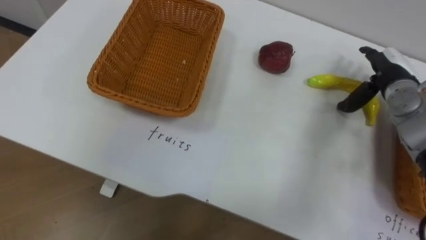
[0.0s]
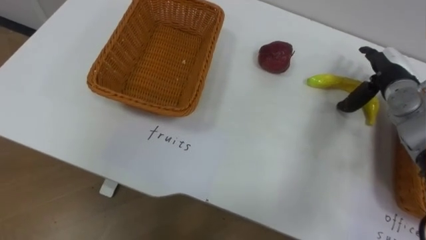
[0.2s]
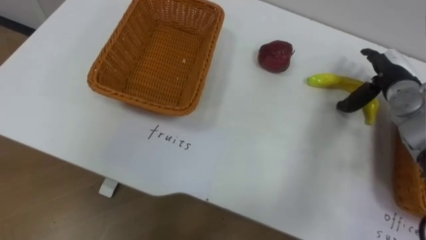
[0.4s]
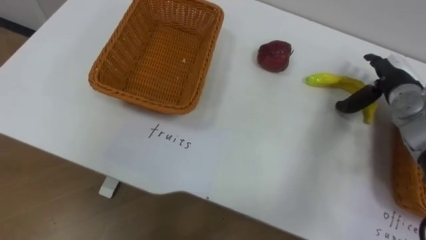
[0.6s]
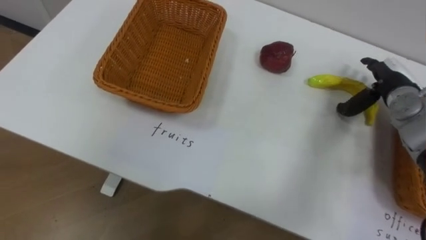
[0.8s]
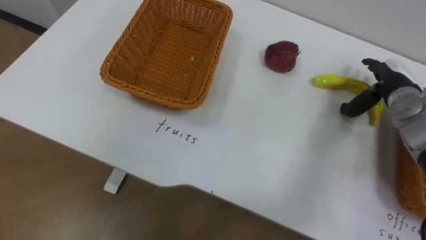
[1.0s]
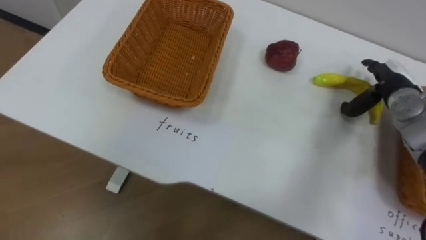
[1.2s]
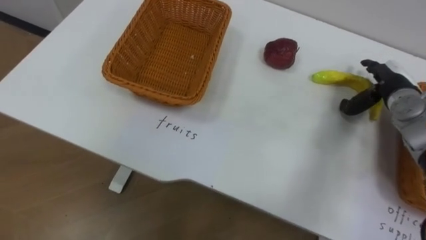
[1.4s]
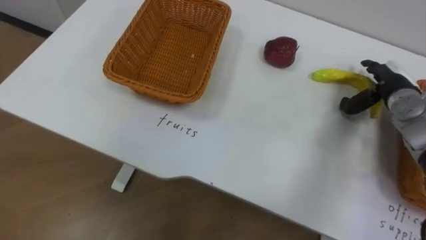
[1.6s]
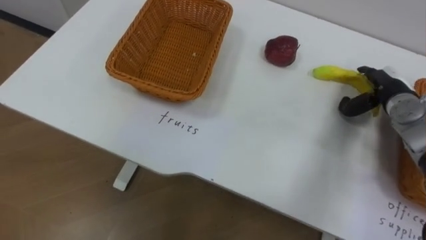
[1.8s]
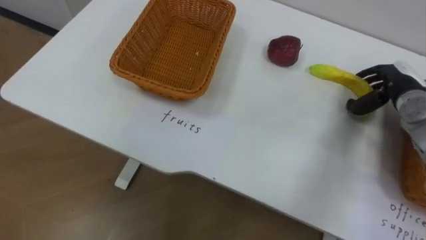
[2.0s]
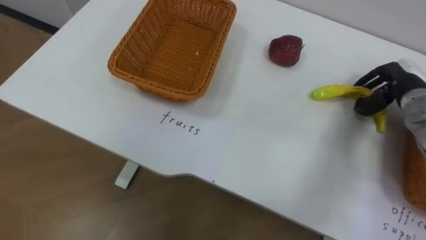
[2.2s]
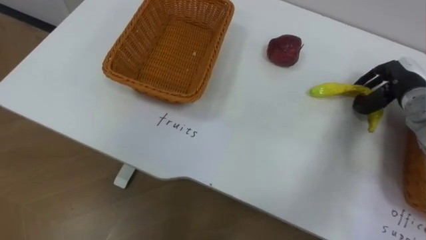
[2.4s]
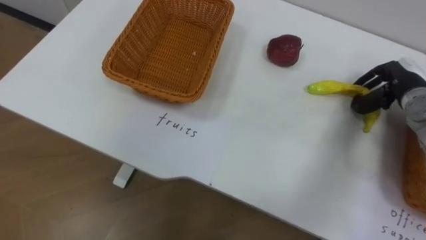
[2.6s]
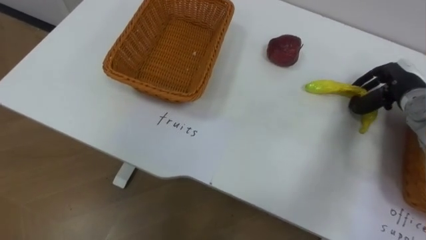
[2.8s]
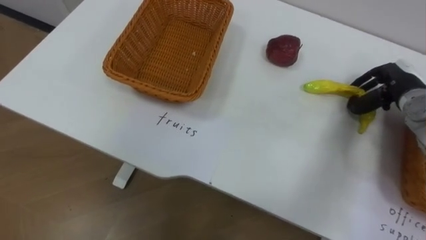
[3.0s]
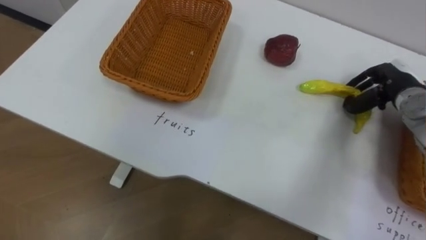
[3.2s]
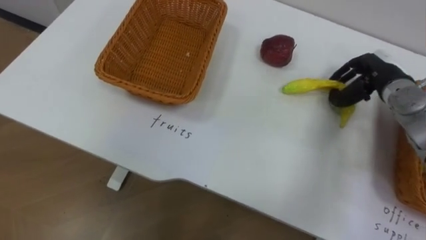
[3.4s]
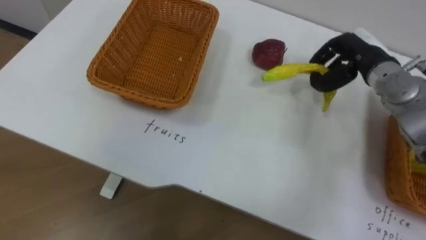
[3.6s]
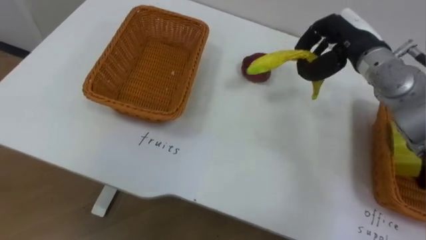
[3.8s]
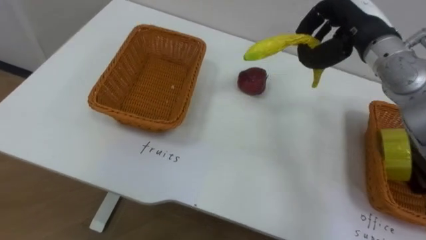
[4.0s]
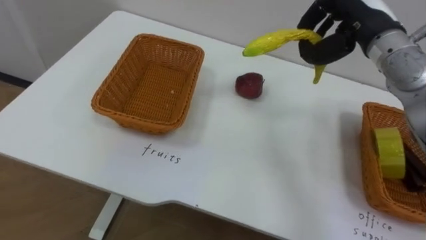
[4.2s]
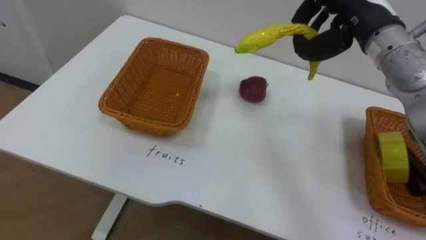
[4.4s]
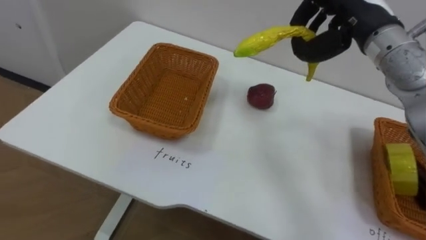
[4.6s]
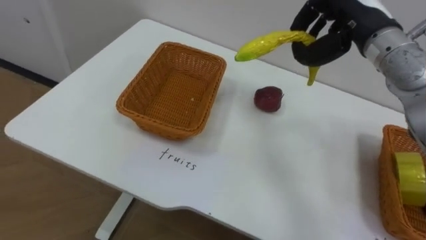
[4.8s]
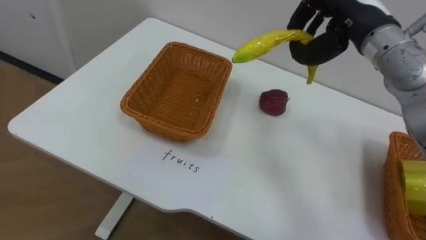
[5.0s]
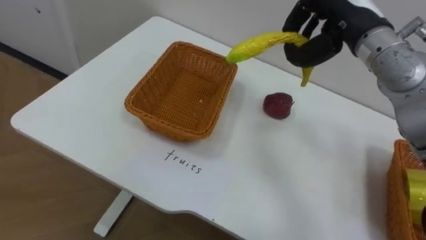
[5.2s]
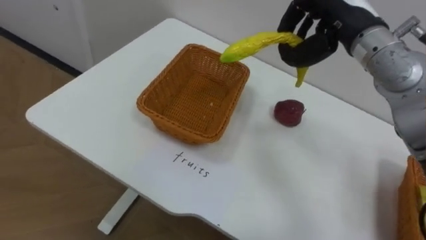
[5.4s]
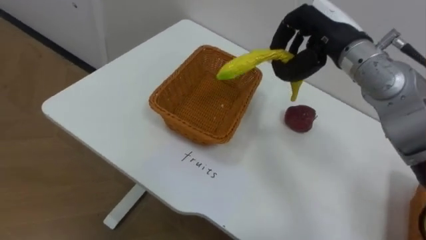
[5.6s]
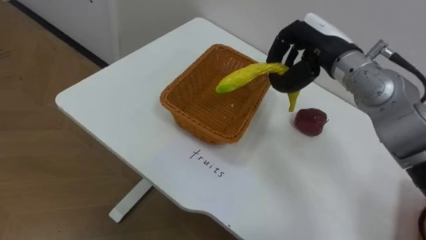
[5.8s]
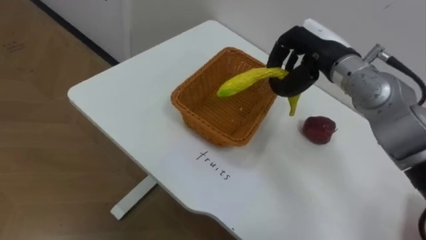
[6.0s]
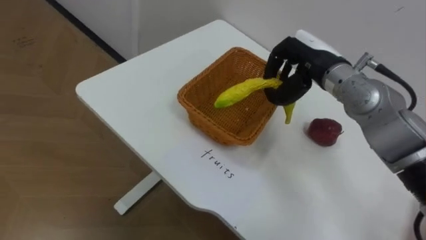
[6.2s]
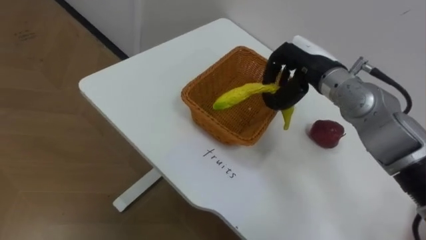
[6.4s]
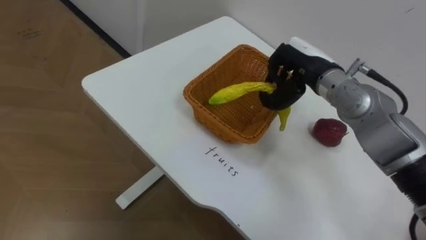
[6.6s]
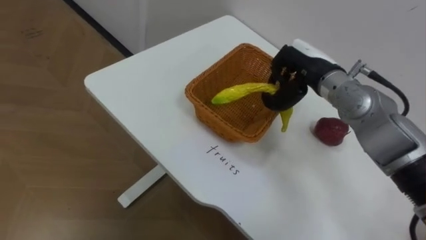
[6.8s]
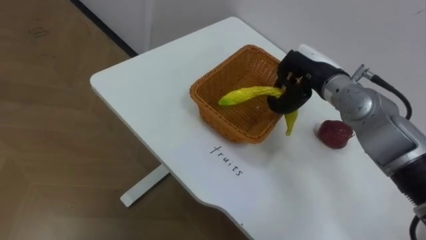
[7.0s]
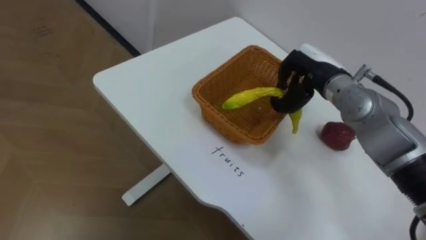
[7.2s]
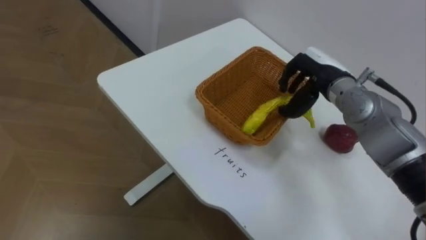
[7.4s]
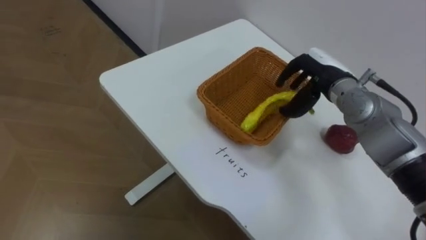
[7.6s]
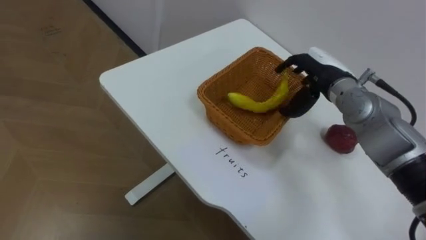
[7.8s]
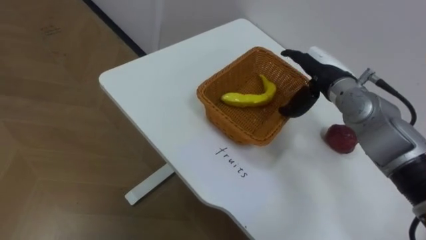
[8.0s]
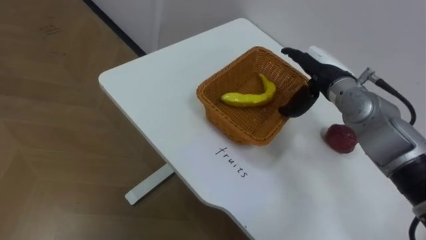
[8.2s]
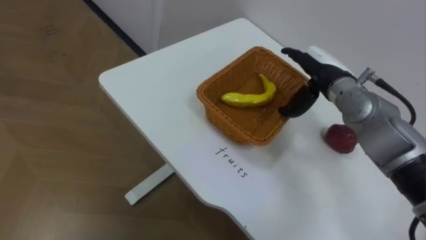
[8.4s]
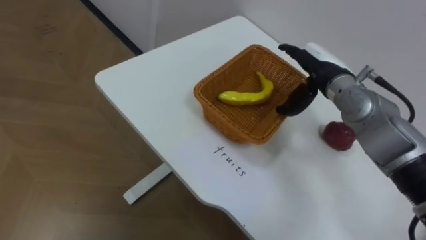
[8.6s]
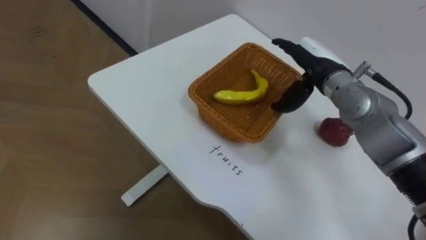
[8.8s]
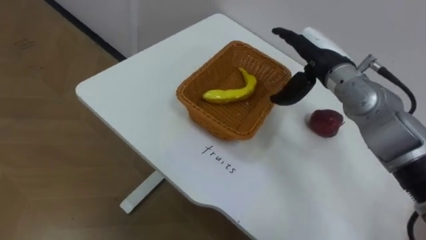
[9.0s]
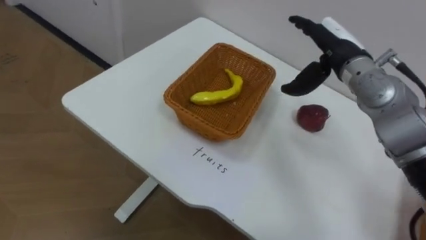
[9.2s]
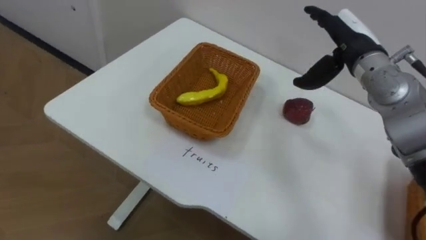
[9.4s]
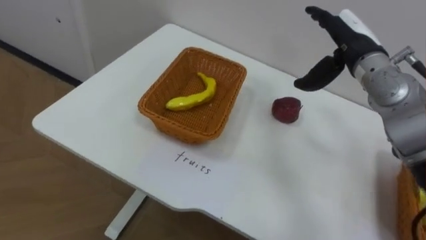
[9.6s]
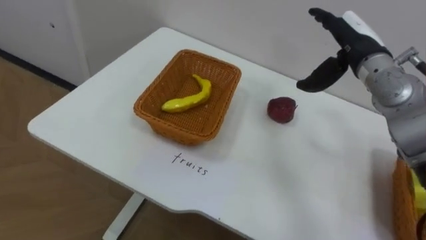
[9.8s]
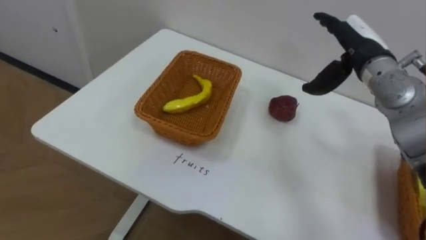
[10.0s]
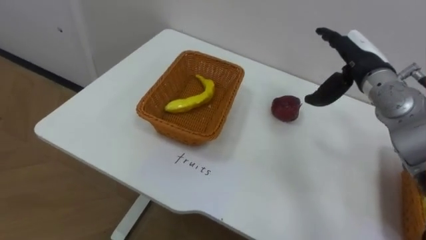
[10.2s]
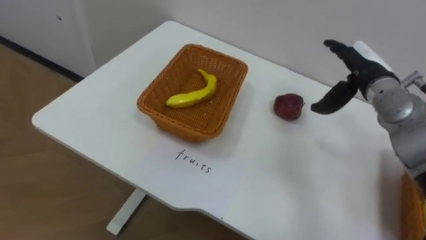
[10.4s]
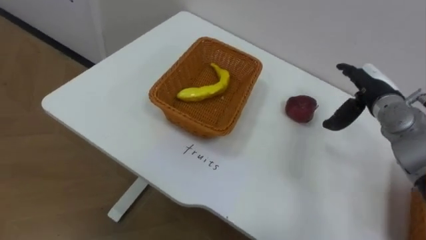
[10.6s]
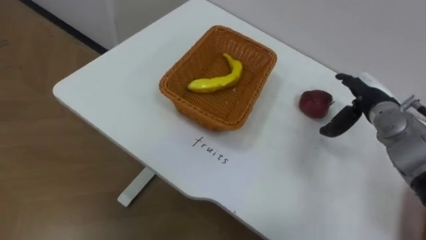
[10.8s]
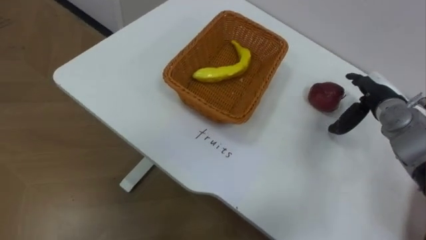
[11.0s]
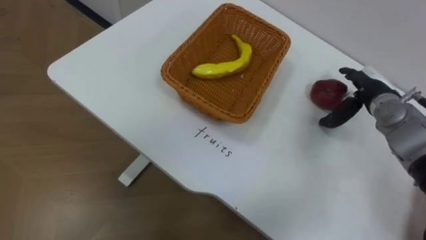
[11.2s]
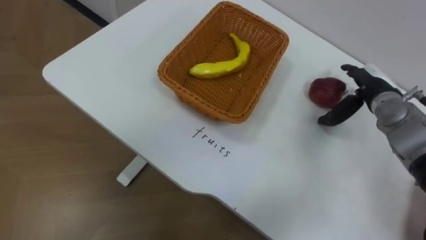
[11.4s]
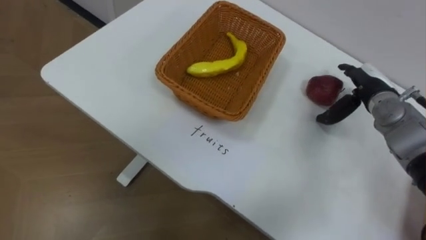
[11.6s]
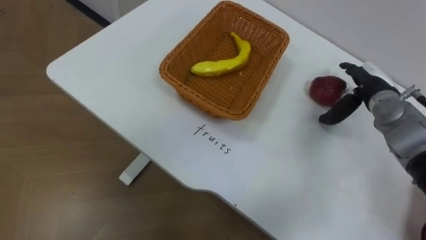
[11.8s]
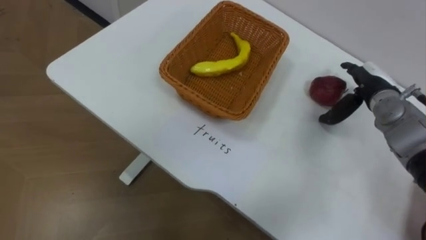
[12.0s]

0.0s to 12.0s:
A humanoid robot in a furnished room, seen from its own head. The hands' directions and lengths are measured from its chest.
Task of the whole recording: Separate the items on the table and place them into the two baskets.
1.6s to 3.0s: The right hand closes up.
3.0s to 4.4s: The right hand is displaced upward and to the left by about 20 cm.
4.4s to 6.0s: The right hand moves downward, roughly 5 cm.
6.0s to 7.6s: The right hand travels downward by approximately 5 cm, and opens its fingers.
7.6s to 9.0s: The right hand opens up.
9.0s to 10.4s: The right hand shifts roughly 10 cm to the right.
10.4s to 12.0s: The right hand travels downward by approximately 5 cm.

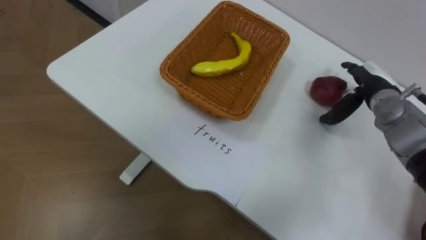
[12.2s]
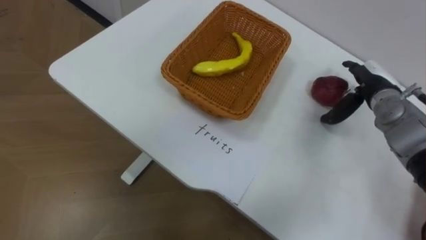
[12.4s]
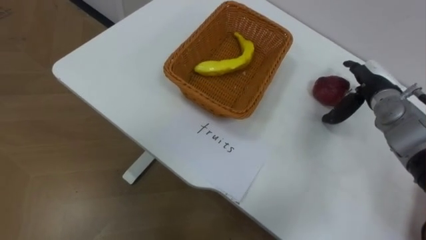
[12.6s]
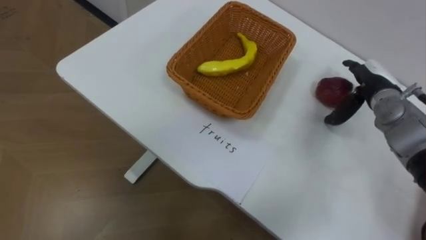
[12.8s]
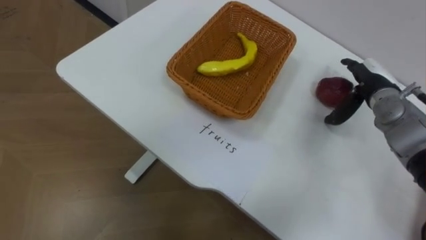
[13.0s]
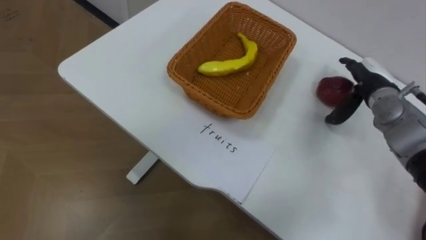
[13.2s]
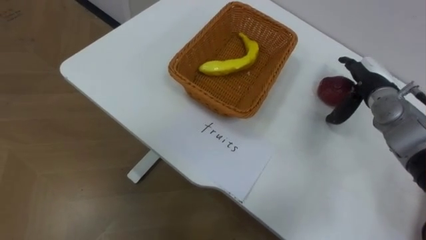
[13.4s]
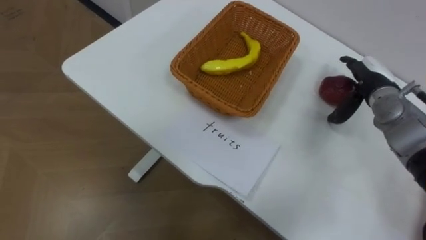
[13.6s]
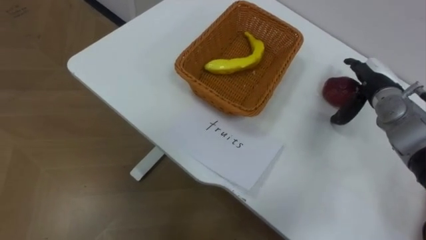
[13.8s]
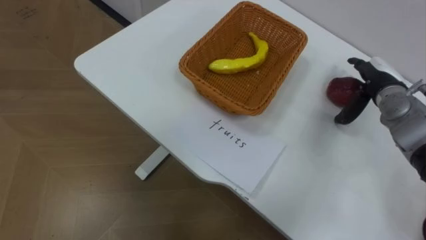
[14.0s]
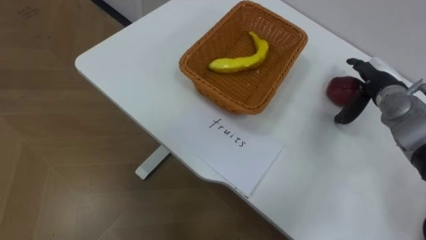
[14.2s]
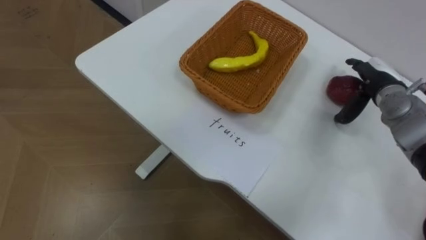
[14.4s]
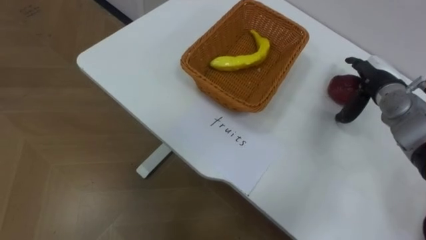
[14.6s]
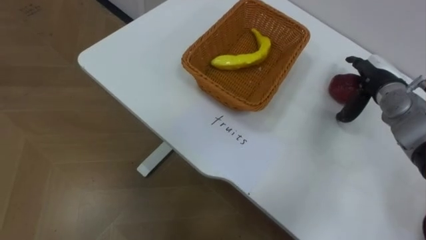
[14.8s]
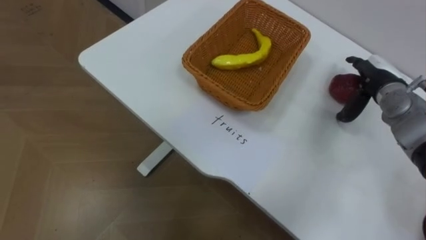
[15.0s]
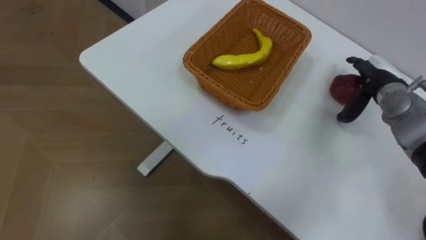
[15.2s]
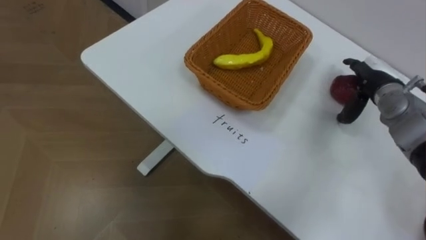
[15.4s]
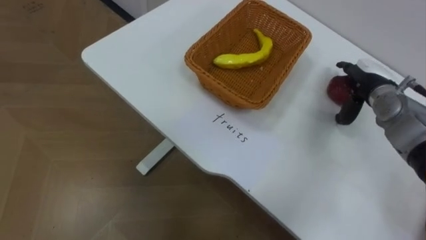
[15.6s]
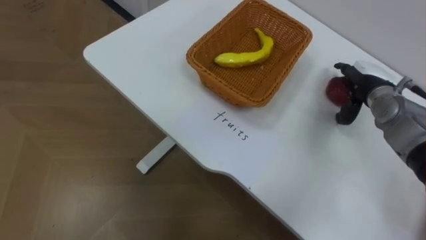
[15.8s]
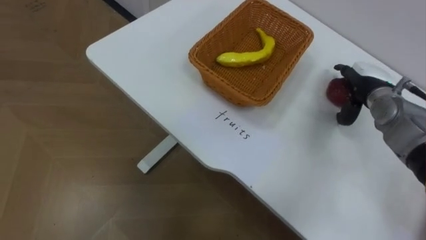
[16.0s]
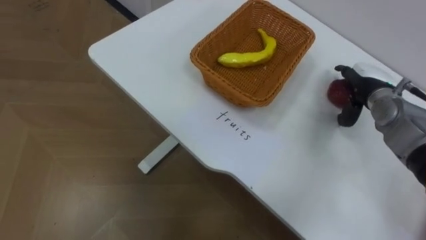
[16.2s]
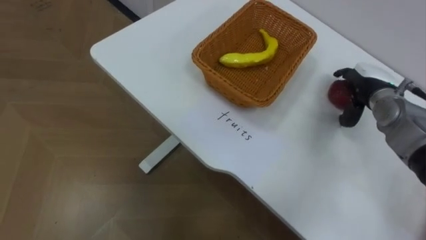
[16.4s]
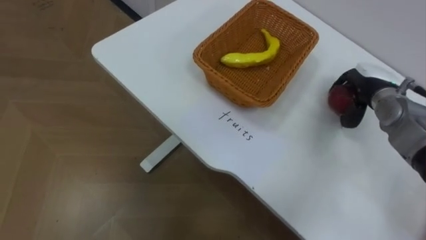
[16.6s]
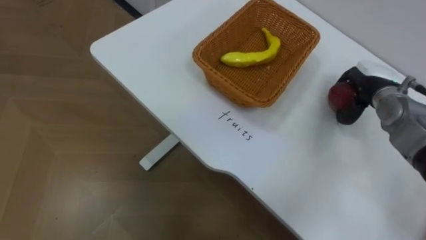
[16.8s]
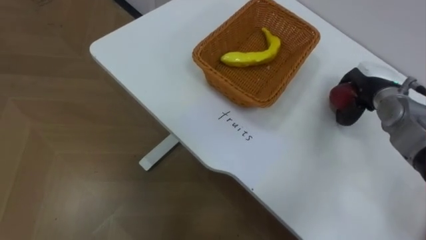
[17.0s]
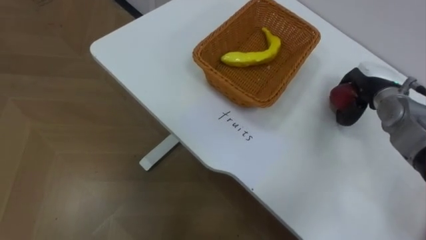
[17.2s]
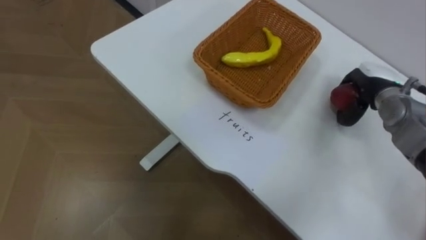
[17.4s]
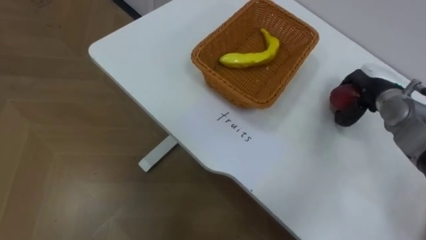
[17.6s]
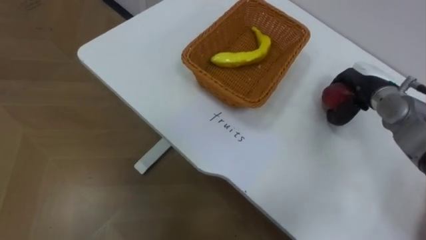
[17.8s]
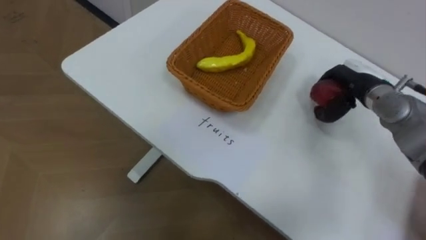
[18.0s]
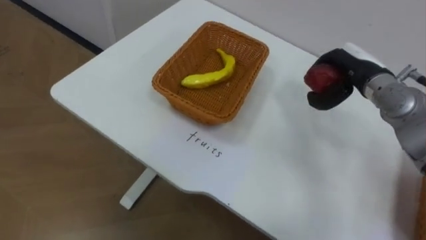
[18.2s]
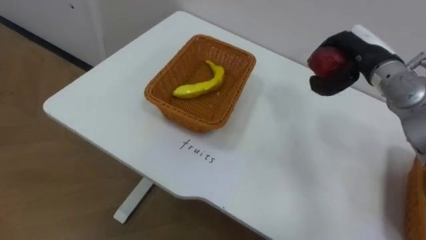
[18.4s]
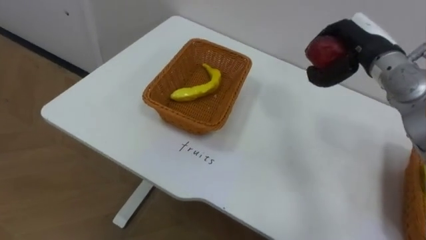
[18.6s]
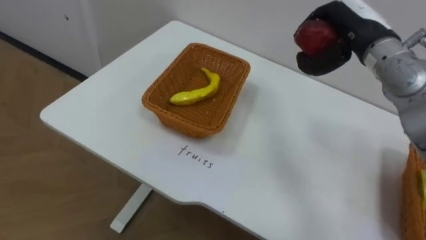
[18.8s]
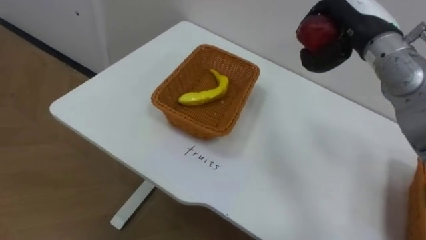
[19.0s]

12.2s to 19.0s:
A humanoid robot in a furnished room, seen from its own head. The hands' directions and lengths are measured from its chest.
Task of the whole recording: Separate the items on the table and place them into the two baskets.
16.2s to 17.6s: The right hand closes up.
17.6s to 19.0s: The right hand goes approximately 15 cm upward and to the left.
